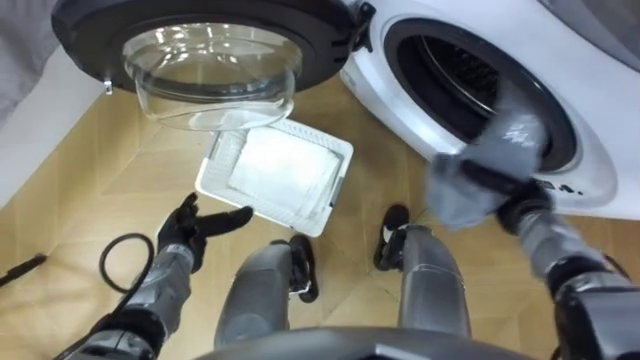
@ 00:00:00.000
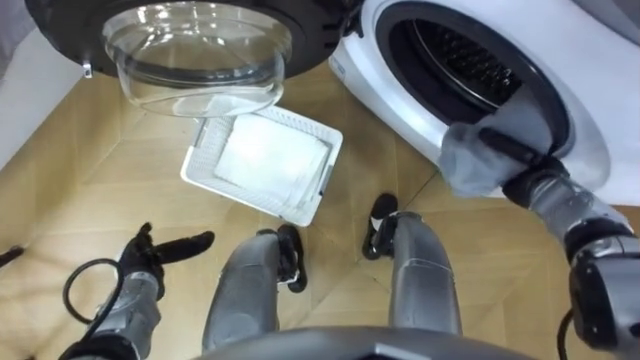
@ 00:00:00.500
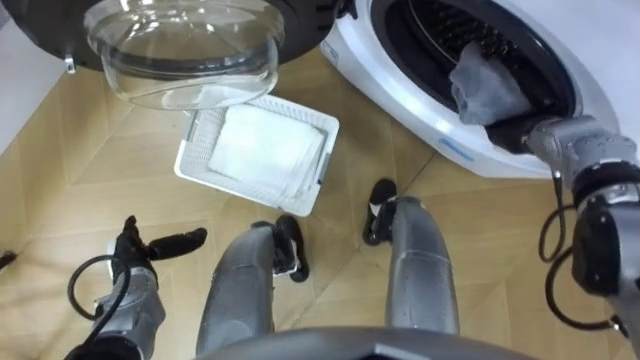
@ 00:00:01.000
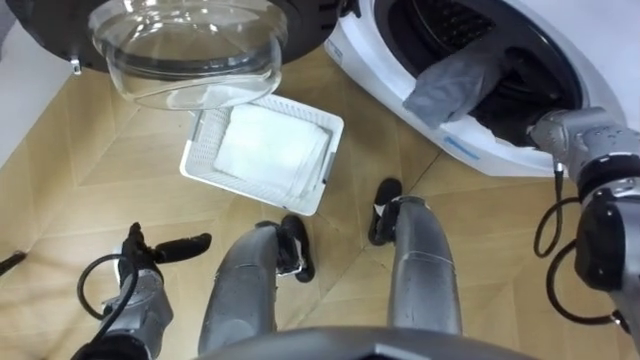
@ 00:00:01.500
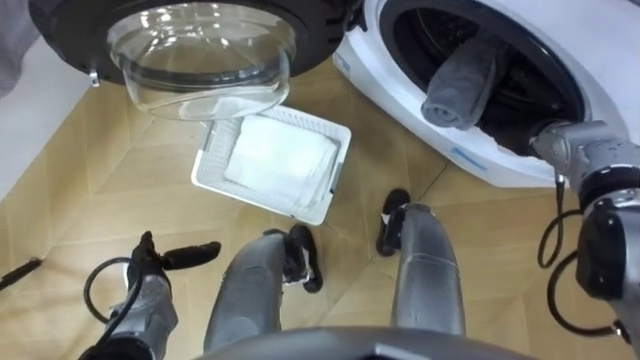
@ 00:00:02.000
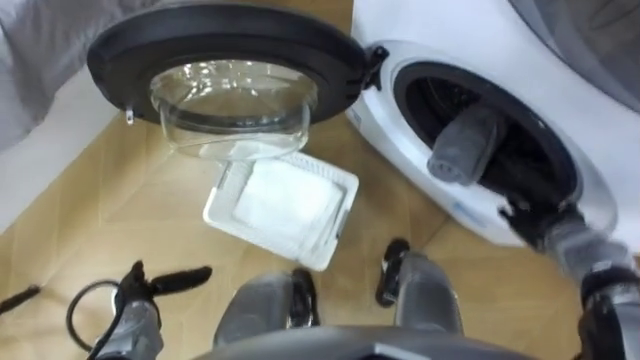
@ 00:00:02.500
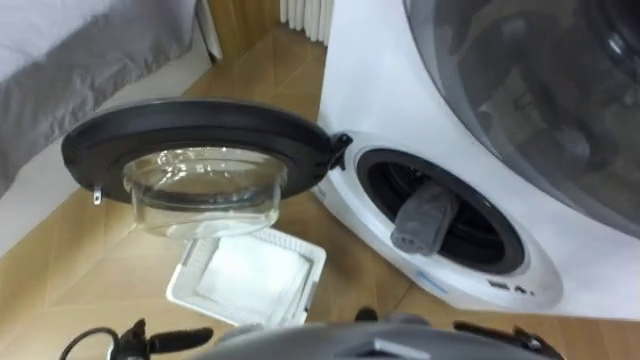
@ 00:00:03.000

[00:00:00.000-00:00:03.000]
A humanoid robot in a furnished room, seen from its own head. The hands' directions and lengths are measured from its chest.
Task of the whole recording: Take the towel from the basket and put it into the washing machine.
00:00:00.000 to 00:00:01.500: The left hand moves to the left, roughly 5 cm; the right hand heads forward and upward, covering roughly 15 cm, and opens its fingers.

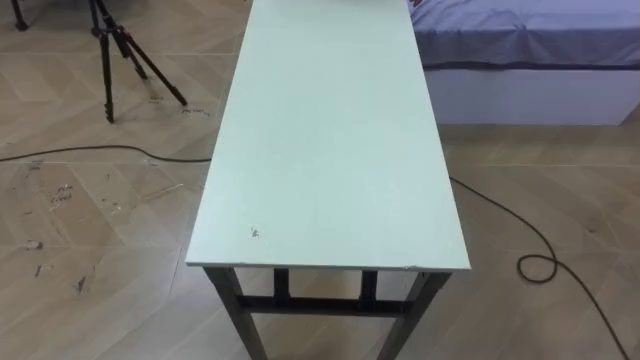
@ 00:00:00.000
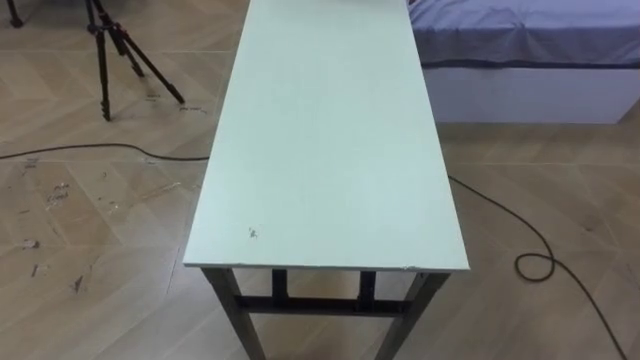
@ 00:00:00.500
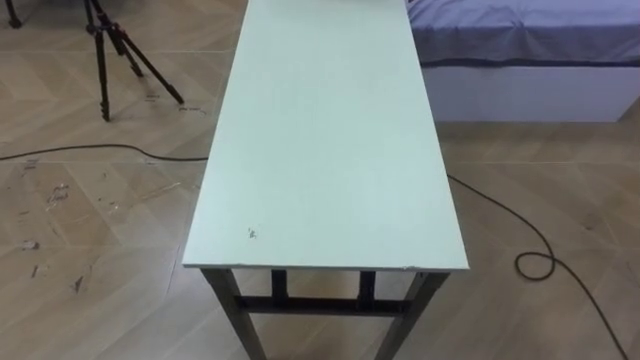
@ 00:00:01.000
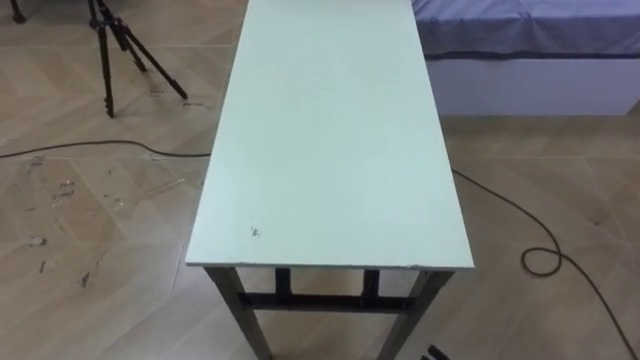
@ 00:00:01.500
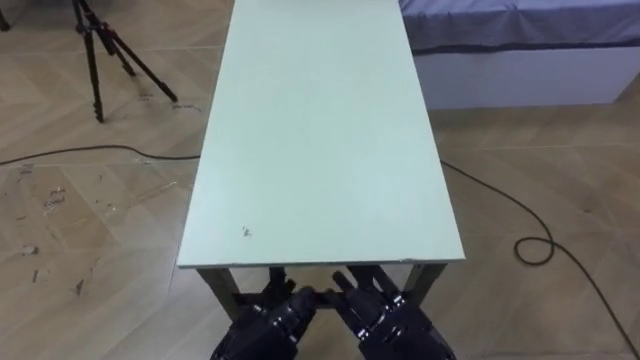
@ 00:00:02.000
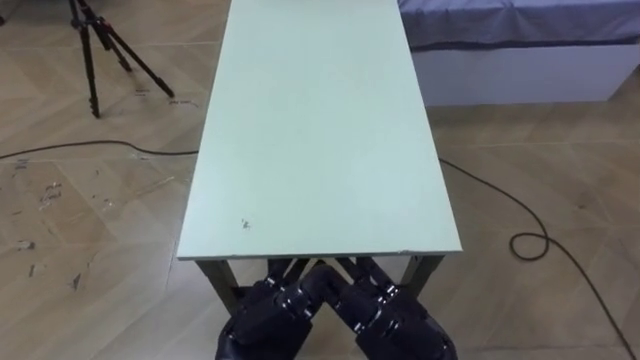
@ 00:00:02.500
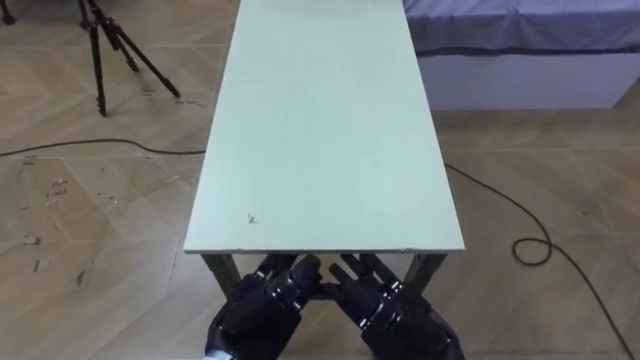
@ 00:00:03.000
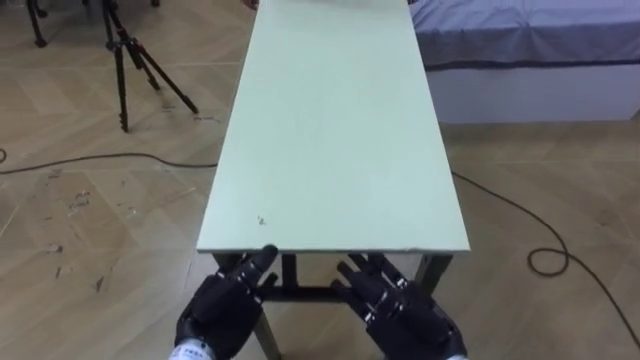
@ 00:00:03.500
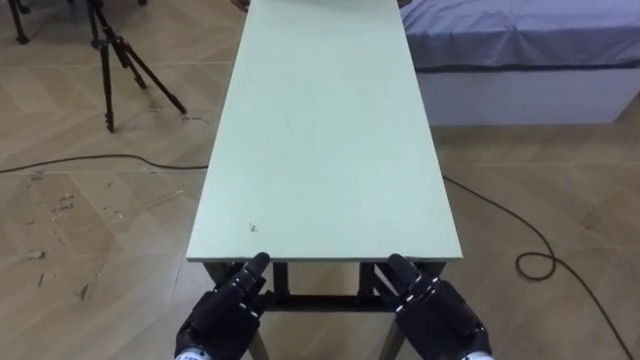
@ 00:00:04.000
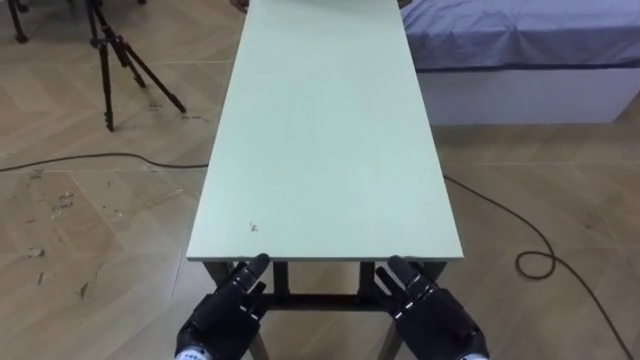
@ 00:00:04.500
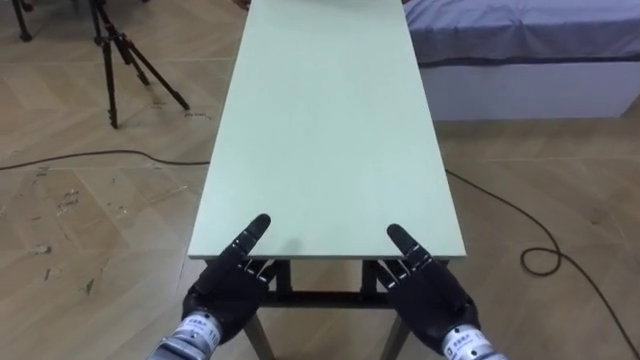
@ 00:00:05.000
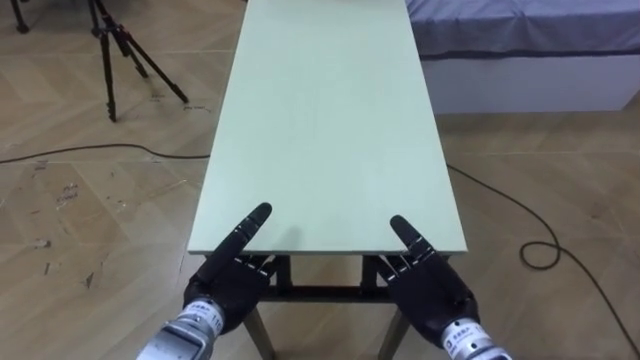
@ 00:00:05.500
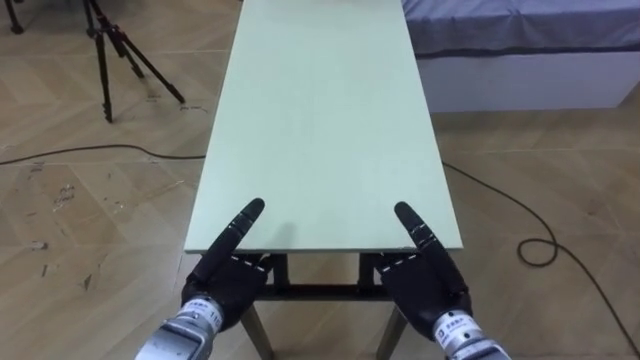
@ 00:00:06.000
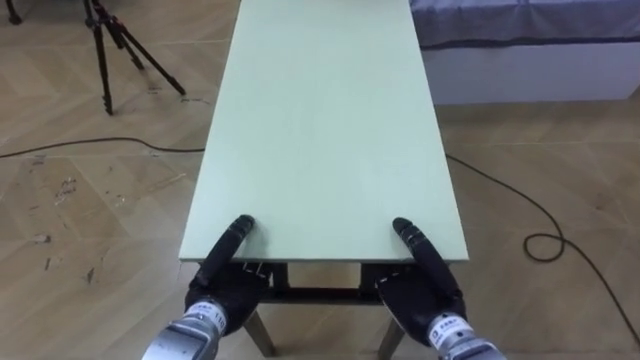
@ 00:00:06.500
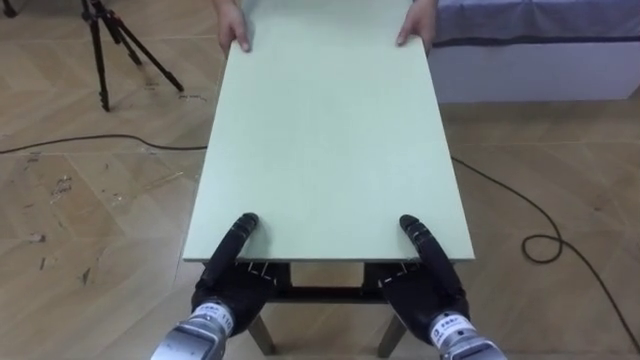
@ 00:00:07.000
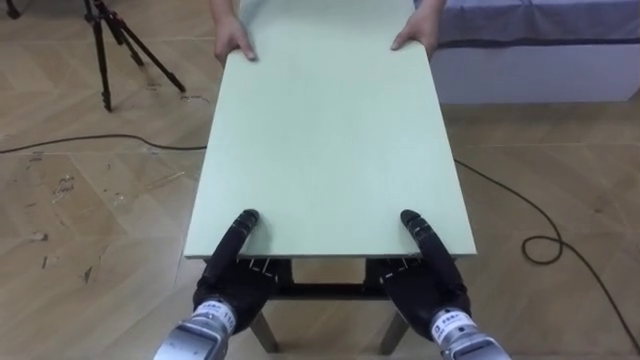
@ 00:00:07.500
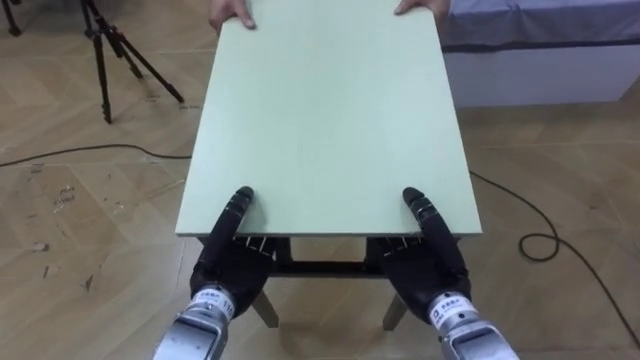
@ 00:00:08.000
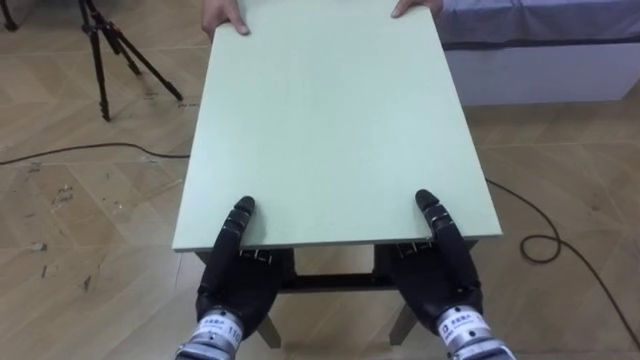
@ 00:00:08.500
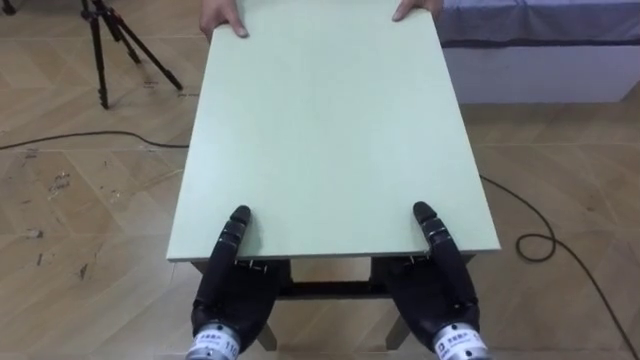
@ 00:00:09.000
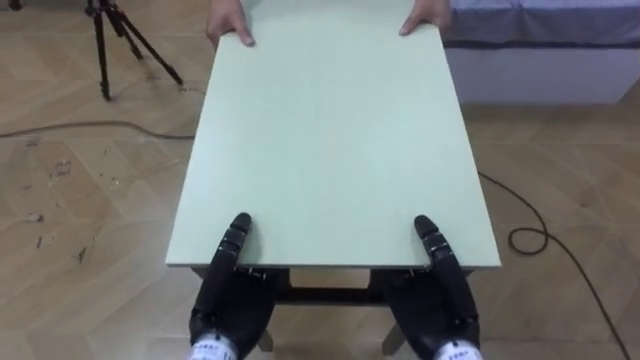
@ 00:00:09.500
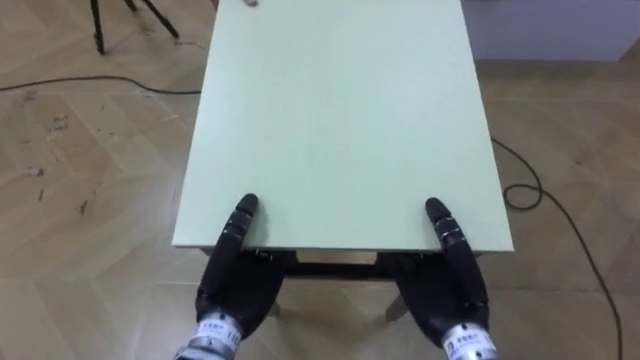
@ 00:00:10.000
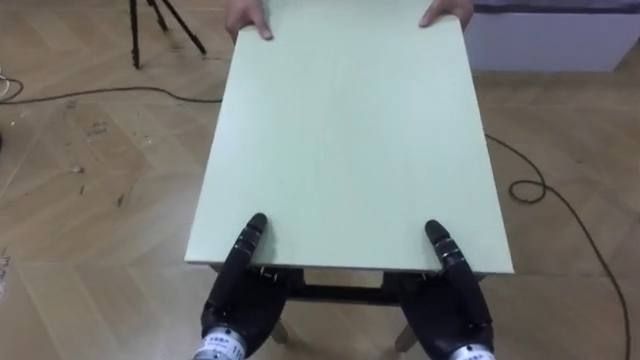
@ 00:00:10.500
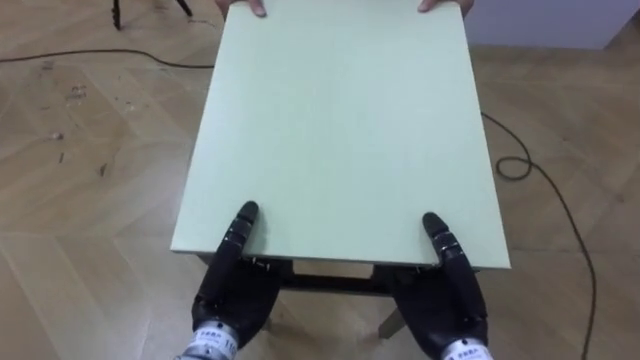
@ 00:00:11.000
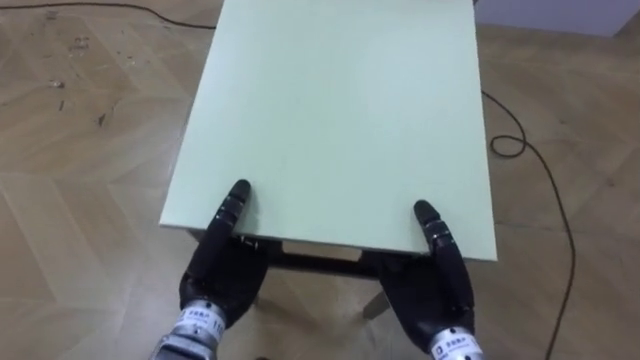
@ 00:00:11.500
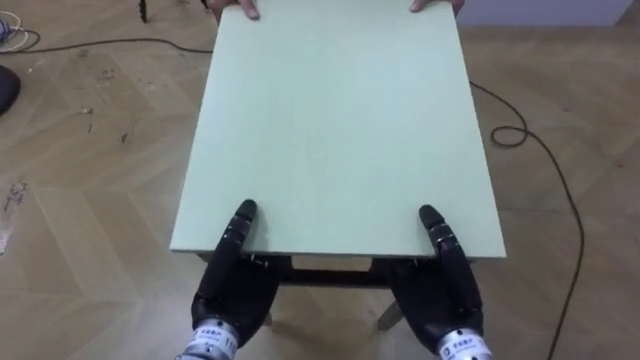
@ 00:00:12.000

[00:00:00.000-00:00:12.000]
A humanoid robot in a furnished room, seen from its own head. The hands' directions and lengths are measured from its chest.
Task of the whole recording: Move the table to the back left with someone.
00:00:02.000 to 00:00:04.000: The left hand moves approximately 5 cm, while the right hand shifts by approximately 5 cm.
00:00:04.000 to 00:00:06.000: The left hand changes place by roughly 5 cm.
00:00:06.000 to 00:00:08.000: The left hand closes up; the right hand closes.

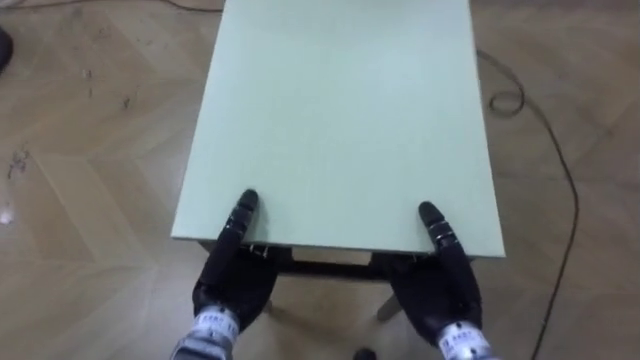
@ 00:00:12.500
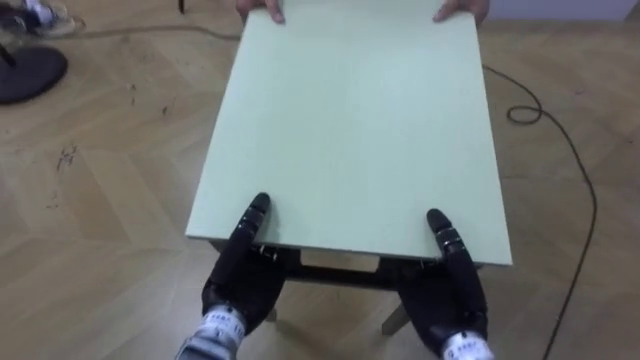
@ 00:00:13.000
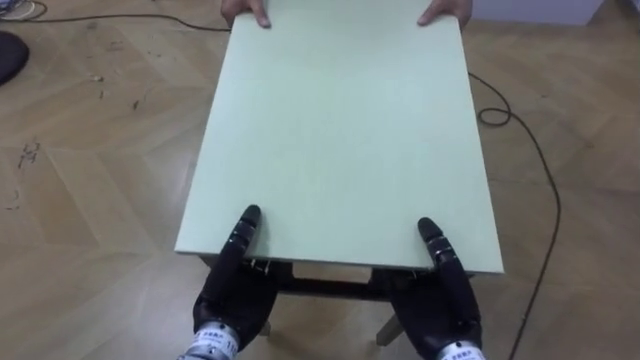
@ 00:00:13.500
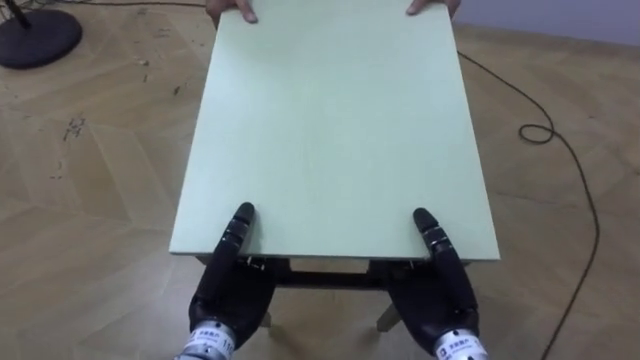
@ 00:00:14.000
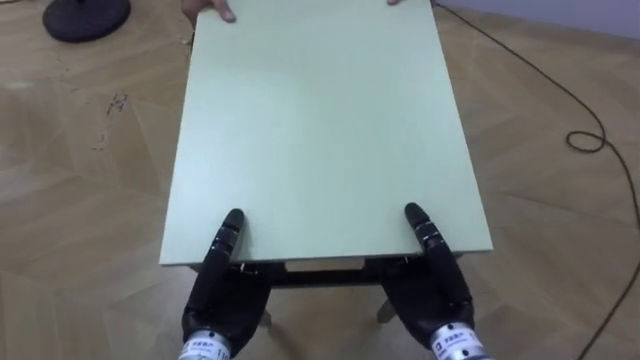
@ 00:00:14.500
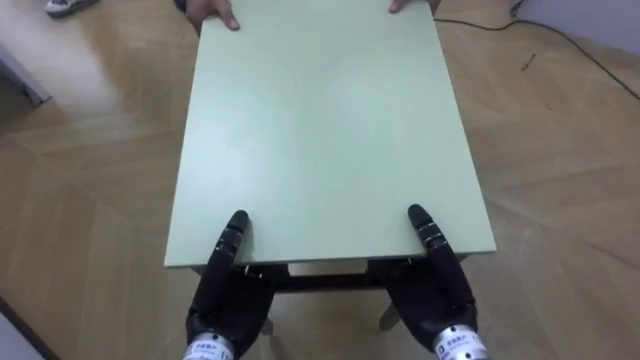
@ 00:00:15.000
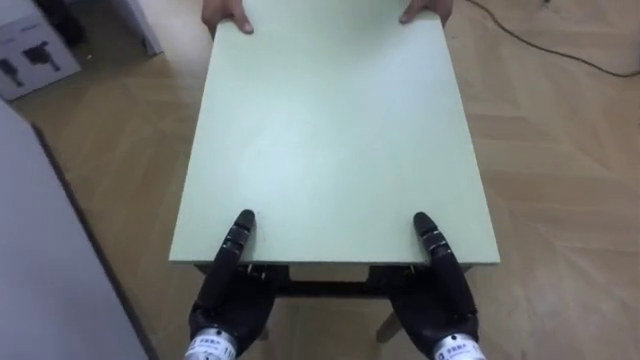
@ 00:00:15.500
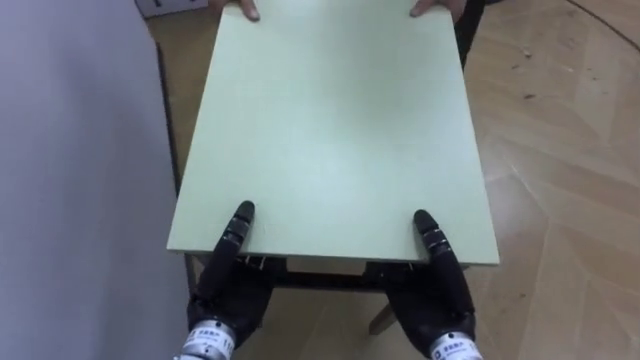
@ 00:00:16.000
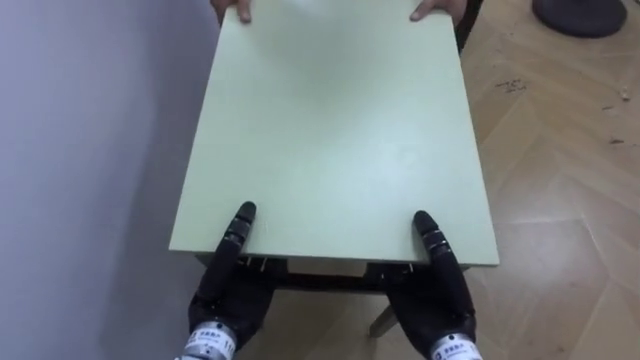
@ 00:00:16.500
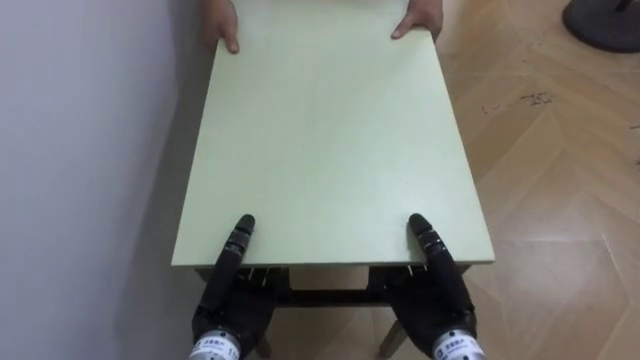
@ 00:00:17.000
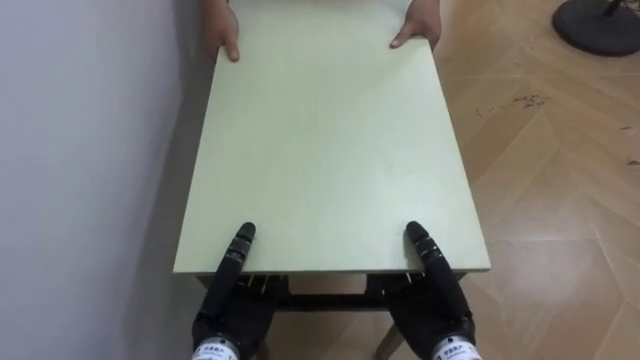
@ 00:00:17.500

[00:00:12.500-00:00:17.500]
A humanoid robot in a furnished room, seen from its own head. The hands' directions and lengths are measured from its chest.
Task of the whole recording: Move the table to the back left with someone.
00:00:12.500 to 00:00:15.000: The robot faces about 30 degrees further to its left.
00:00:15.000 to 00:00:17.500: The robot rotates approximately 55 degrees to its left.
